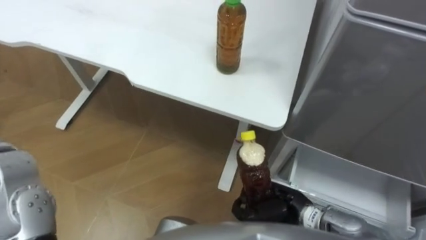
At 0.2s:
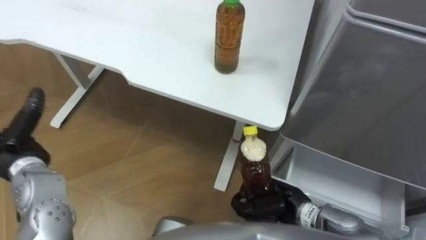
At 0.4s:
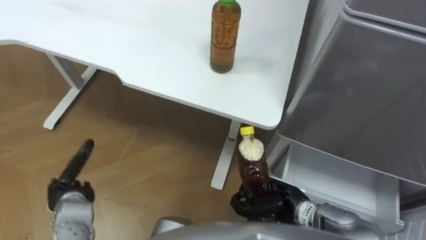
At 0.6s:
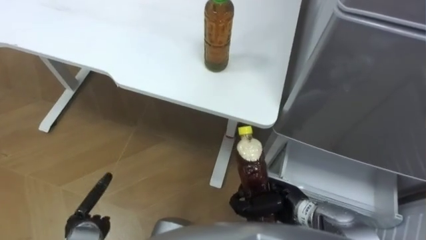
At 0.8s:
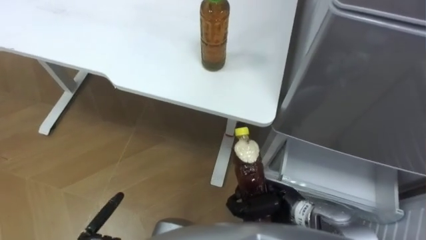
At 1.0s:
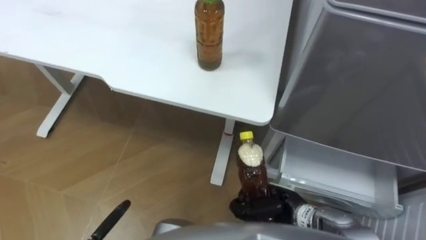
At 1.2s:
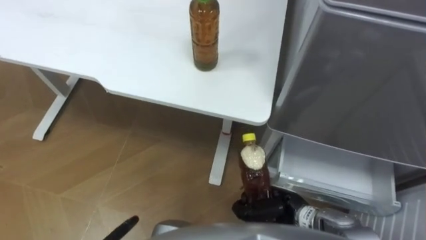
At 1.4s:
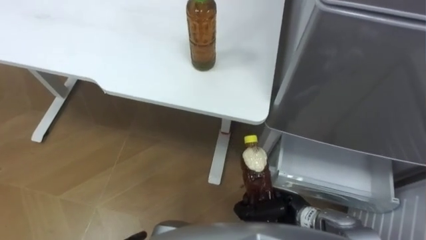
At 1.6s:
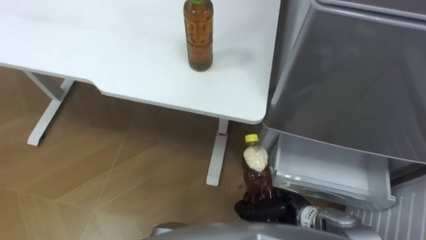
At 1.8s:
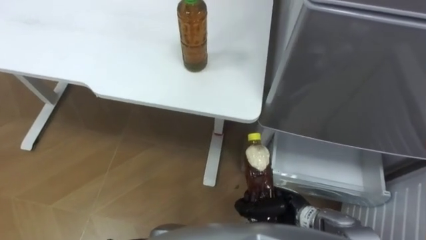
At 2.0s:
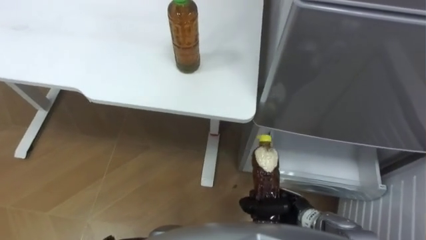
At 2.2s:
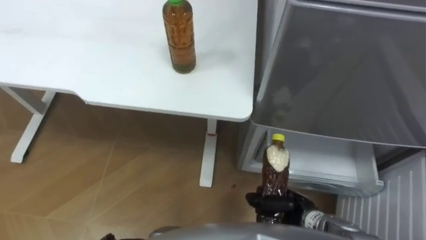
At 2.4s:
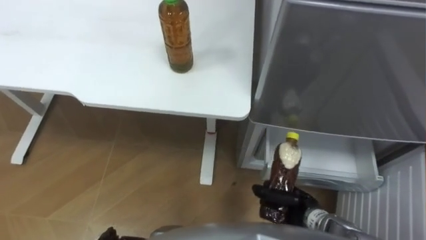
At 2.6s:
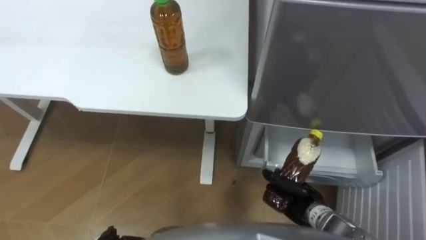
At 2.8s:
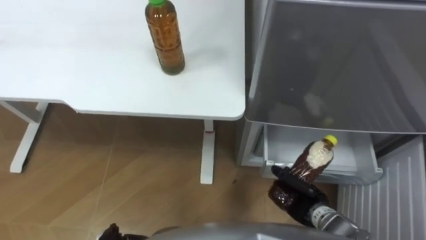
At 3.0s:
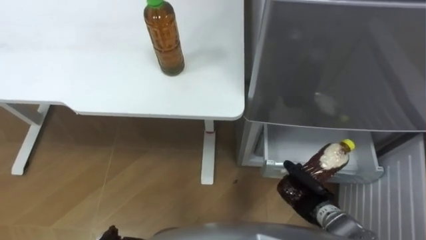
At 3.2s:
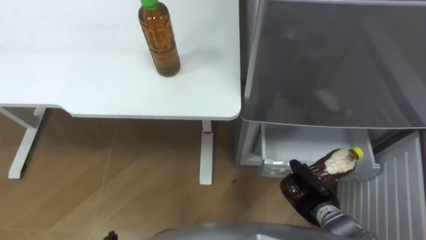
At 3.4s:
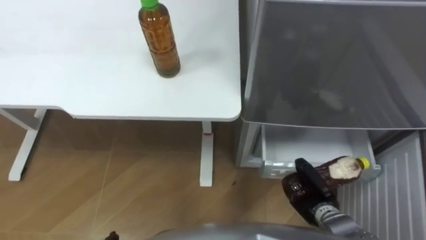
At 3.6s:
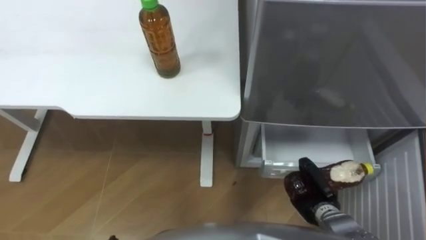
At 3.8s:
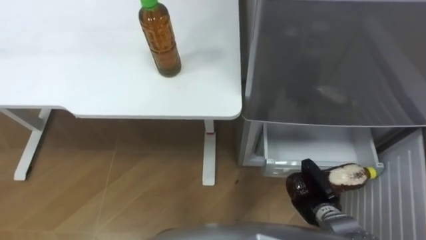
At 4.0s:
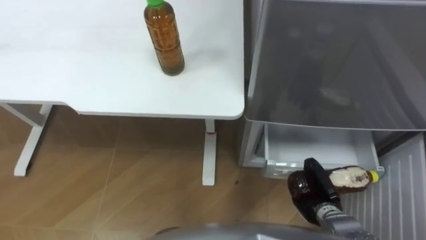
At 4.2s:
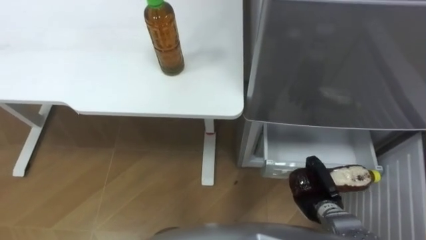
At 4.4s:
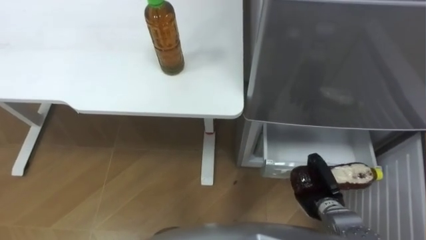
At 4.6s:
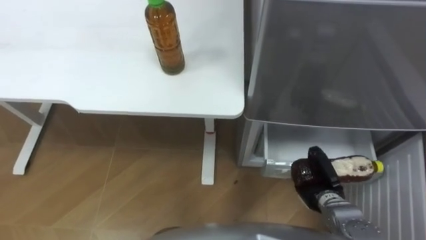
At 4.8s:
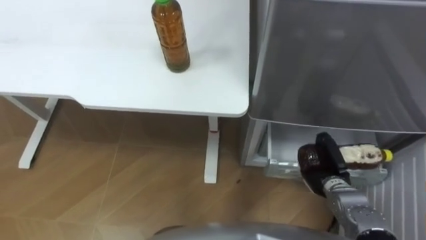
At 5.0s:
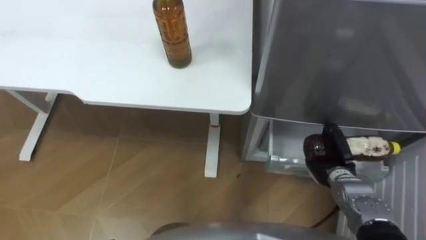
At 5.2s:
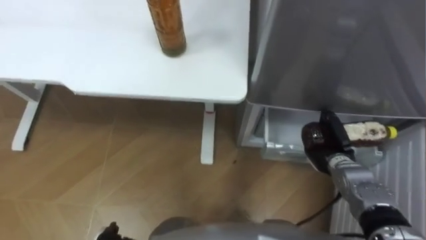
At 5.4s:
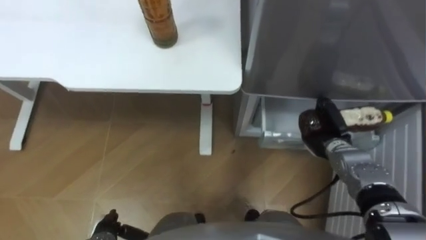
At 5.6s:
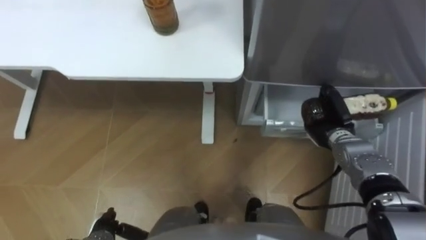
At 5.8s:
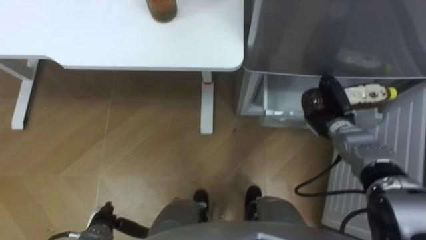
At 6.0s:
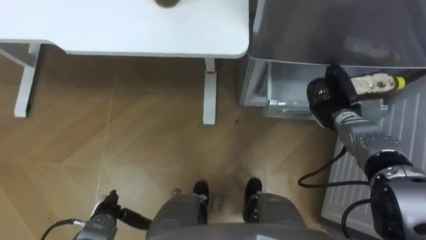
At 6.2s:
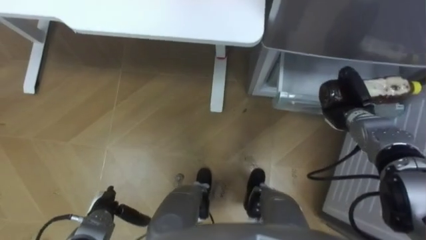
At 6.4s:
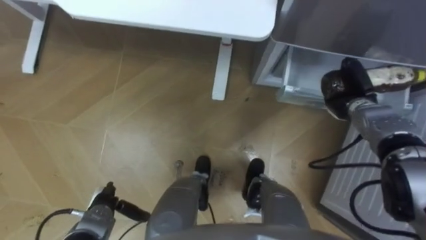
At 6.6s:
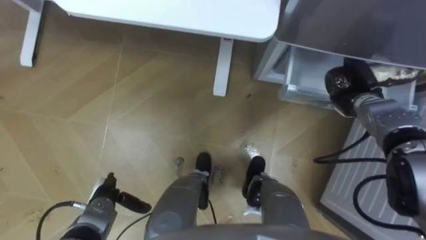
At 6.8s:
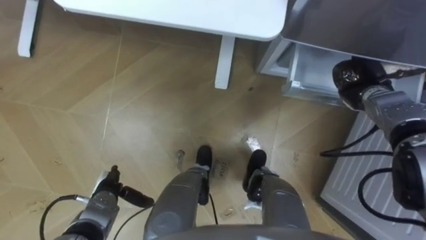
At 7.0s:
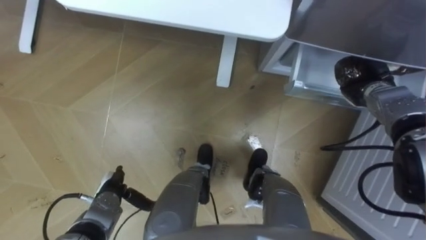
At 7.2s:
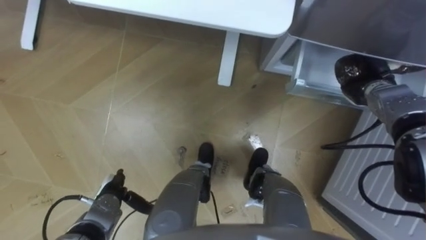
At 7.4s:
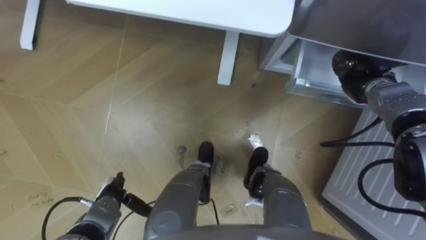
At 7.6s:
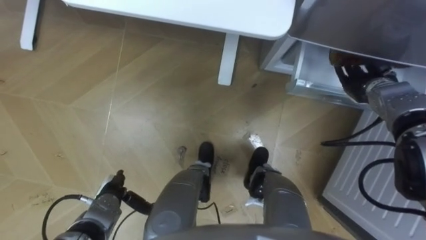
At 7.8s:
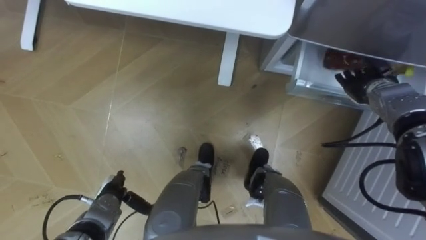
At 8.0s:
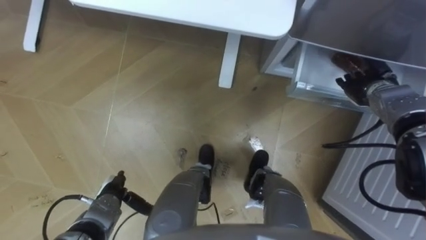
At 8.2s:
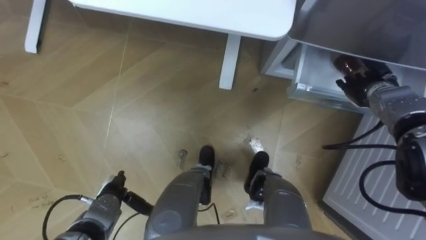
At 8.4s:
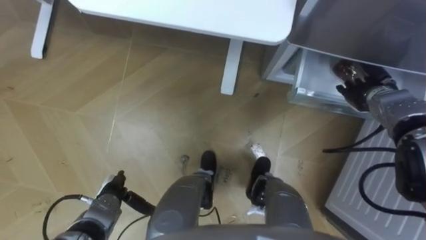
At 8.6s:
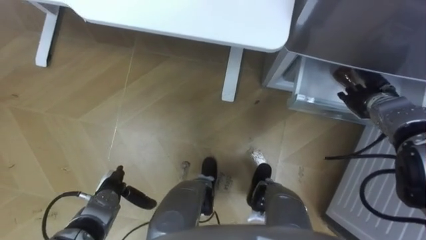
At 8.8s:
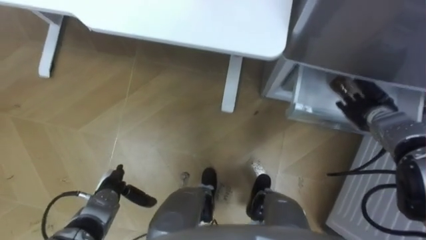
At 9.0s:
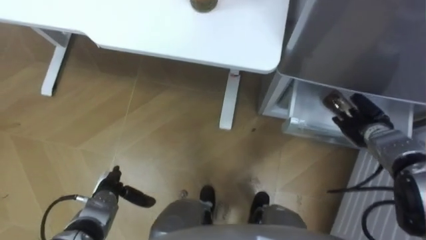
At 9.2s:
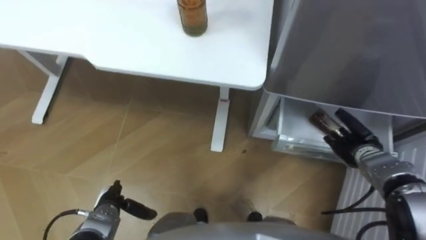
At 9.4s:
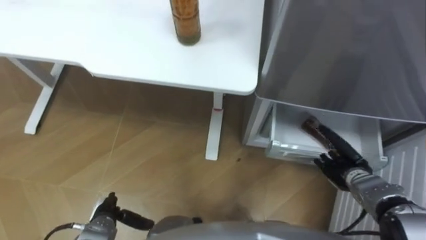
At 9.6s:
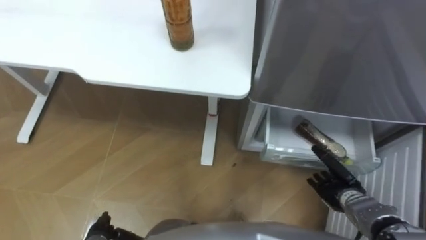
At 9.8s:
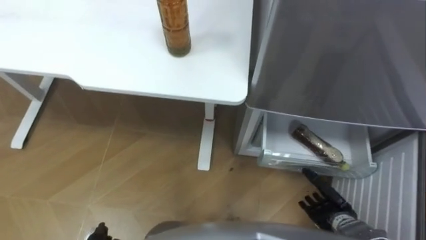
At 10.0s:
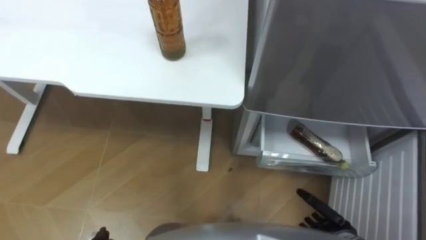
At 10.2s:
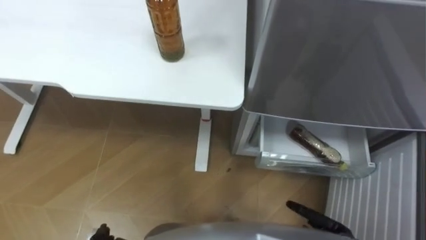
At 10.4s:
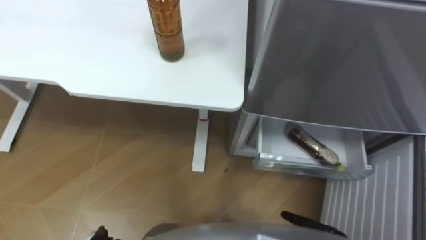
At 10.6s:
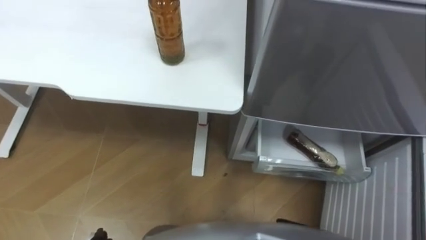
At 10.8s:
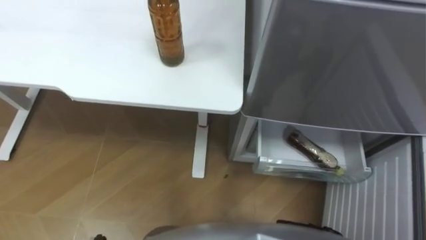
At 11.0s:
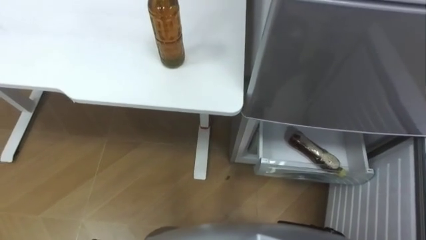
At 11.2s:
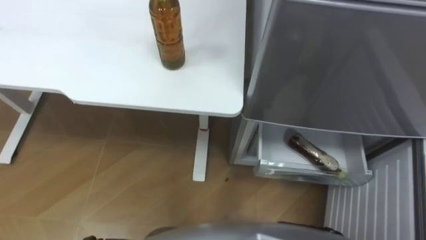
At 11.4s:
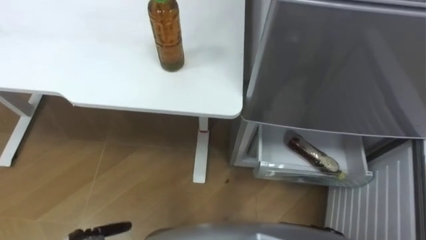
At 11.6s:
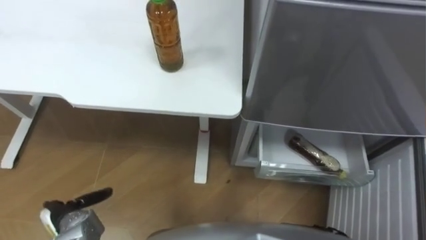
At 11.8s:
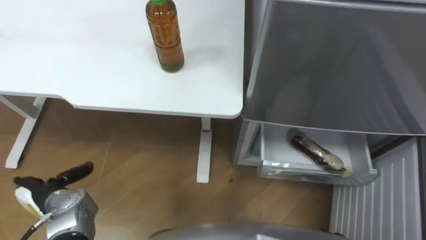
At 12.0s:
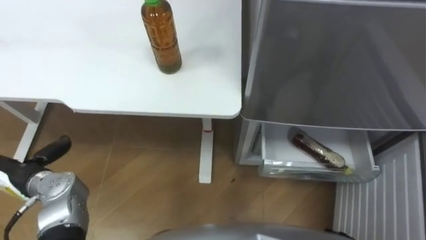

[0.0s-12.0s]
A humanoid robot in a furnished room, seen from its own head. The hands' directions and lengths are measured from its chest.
Task of the whole recording: Place the drink on the table on the bottom shelf of the refrigerator, then close the drawer and the refrigerator door.
1.6s to 3.0s: The right hand shifts roughly 5 cm to the right.
4.4s to 6.0s: The right hand moves forward and upward, some 20 cm.
6.0s to 7.6s: The right hand heads to the right, covering roughly 5 cm, and opens up.
7.6s to 9.0s: The right hand shifts some 10 cm backward and downward.

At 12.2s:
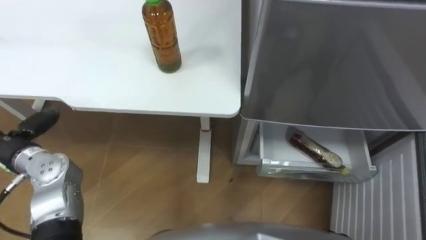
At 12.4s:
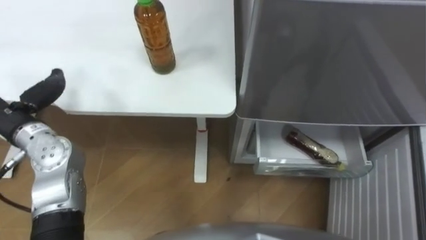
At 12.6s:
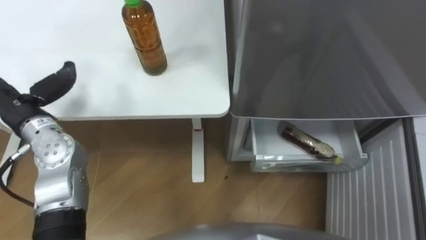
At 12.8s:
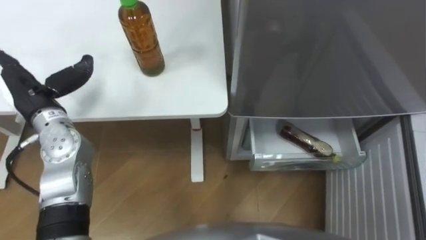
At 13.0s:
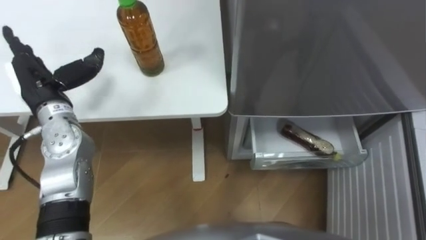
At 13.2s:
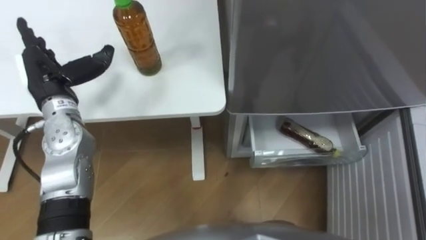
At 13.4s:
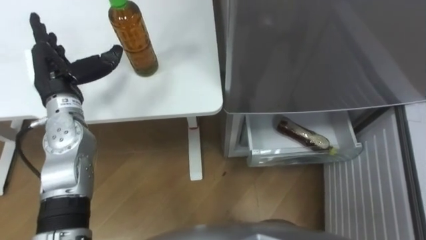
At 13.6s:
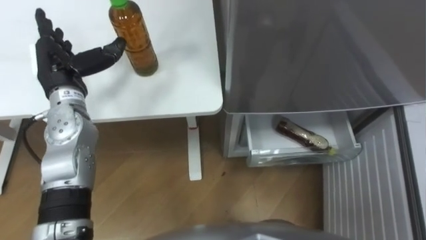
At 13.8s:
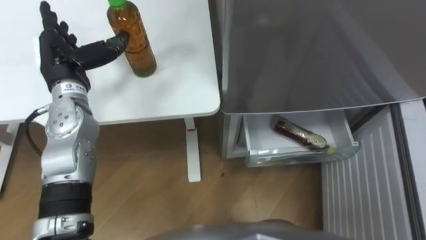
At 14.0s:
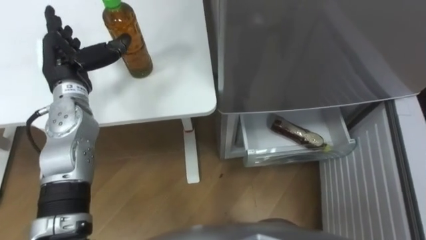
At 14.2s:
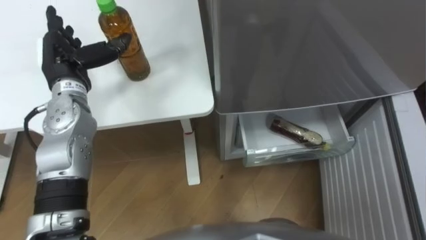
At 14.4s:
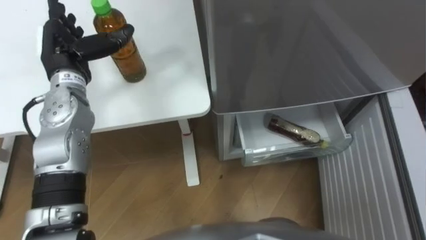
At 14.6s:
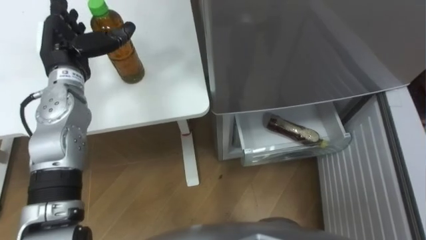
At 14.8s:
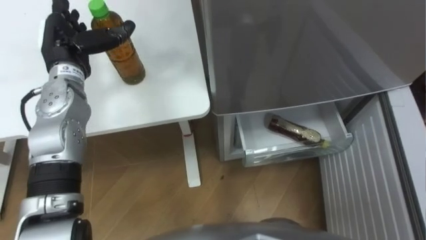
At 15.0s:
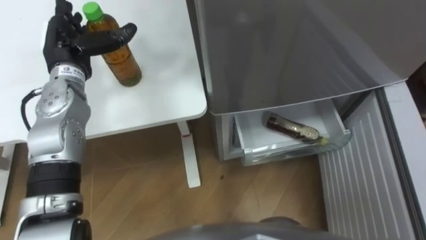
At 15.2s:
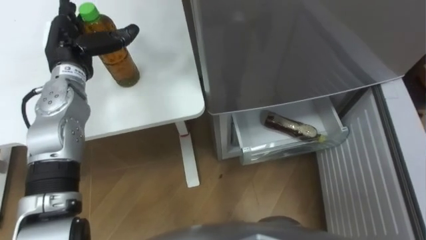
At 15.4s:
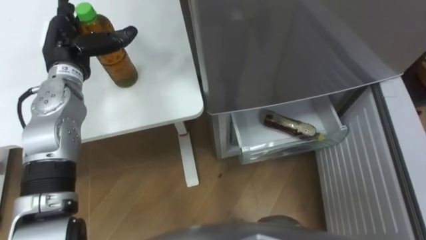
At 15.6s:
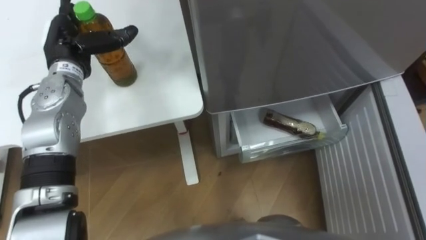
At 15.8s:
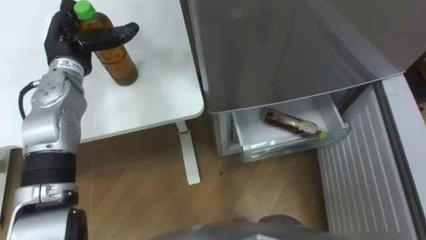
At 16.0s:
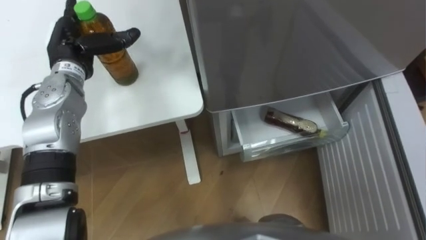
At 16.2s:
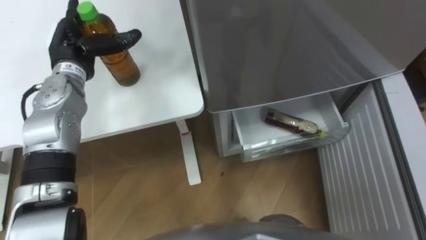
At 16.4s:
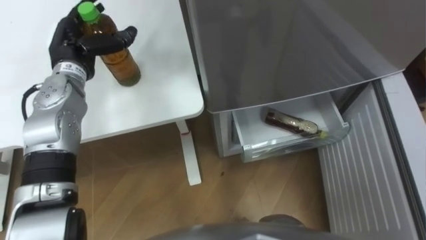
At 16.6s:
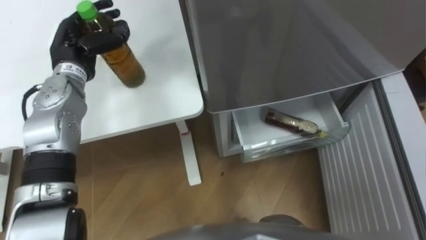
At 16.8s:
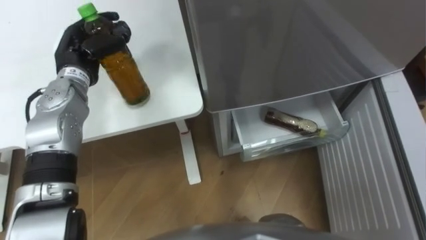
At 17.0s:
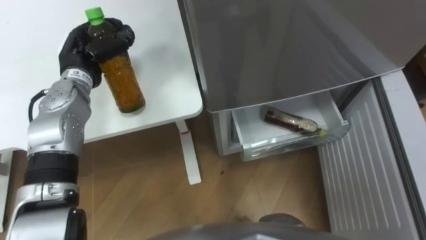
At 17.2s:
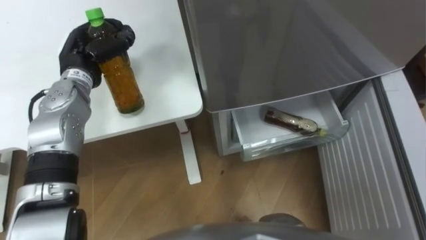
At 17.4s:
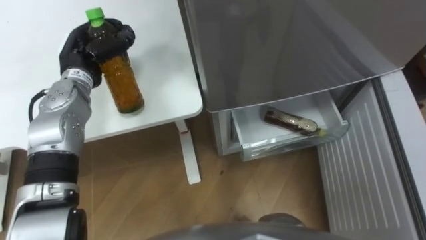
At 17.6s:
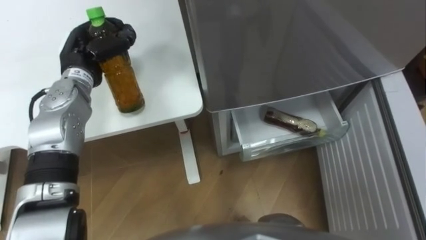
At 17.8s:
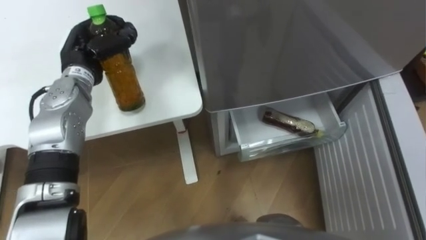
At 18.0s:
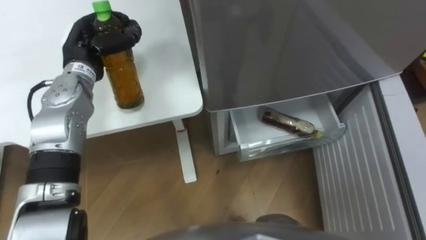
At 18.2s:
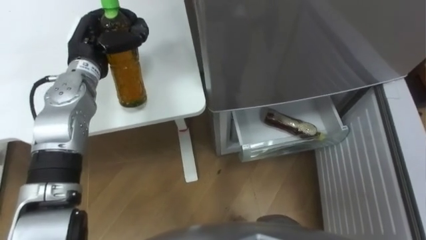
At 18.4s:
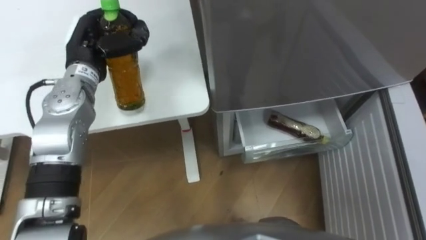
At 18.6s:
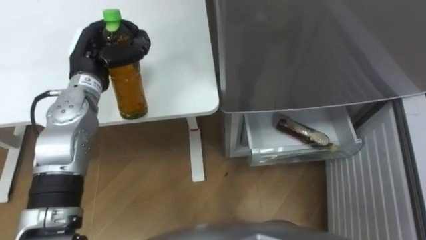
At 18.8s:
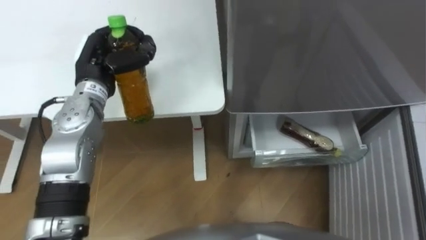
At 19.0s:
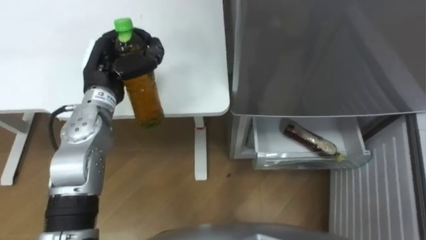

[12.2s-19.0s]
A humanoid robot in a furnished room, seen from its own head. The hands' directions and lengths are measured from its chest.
Task of the whole recording: Place the drink on the table on the bottom shelf of the refrigerator, then close the drawer and the refrigerator door.
16.2s to 17.6s: The left hand closes up.
17.6s to 19.0s: The left hand ends up roughly 5 cm from where it was.
